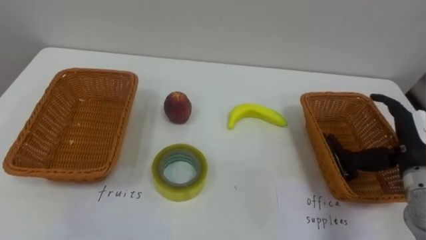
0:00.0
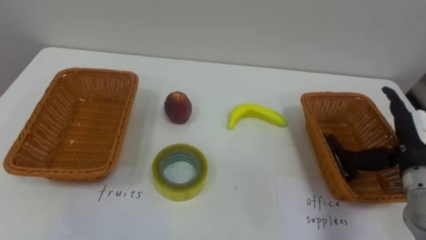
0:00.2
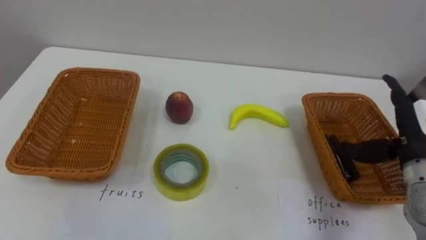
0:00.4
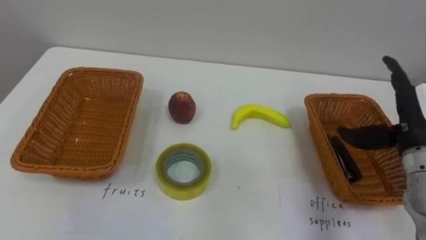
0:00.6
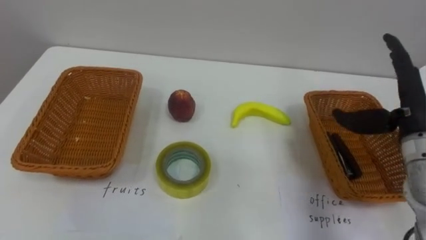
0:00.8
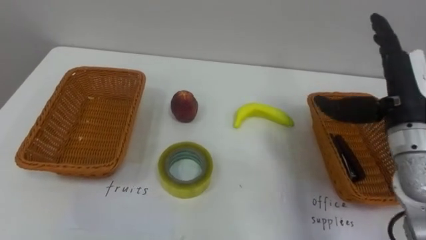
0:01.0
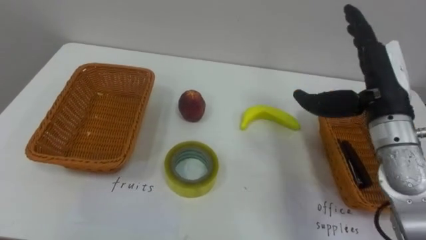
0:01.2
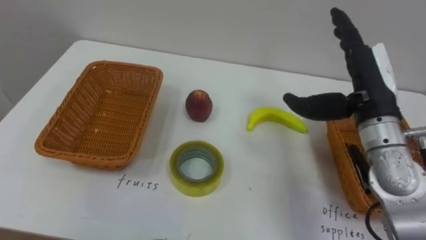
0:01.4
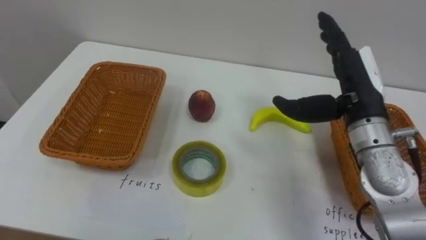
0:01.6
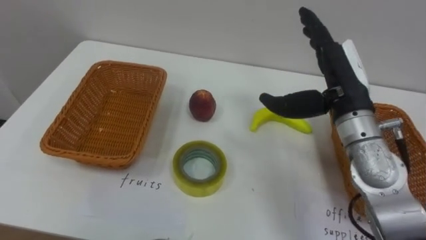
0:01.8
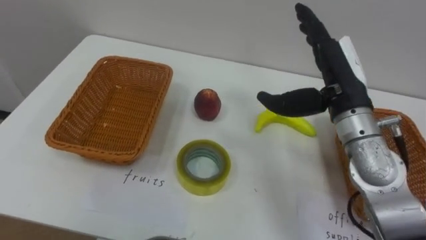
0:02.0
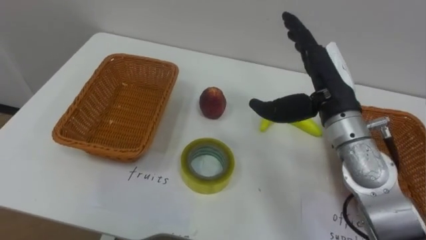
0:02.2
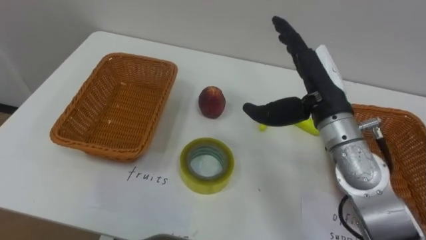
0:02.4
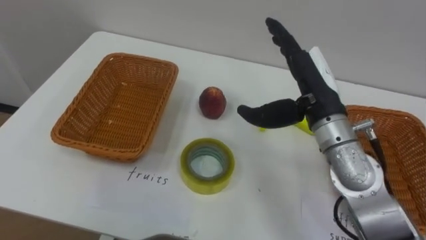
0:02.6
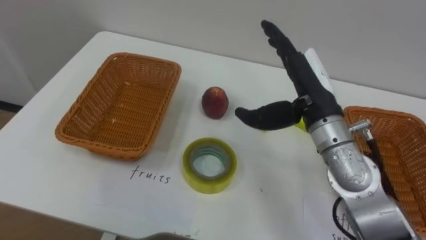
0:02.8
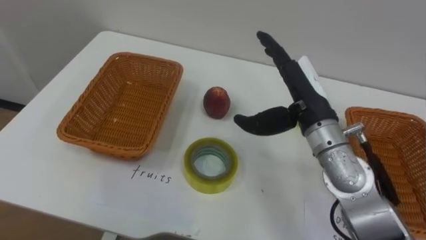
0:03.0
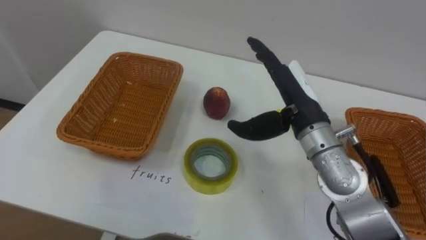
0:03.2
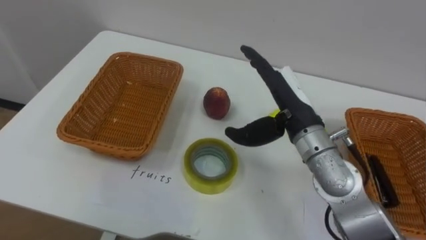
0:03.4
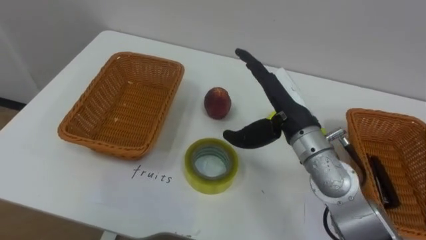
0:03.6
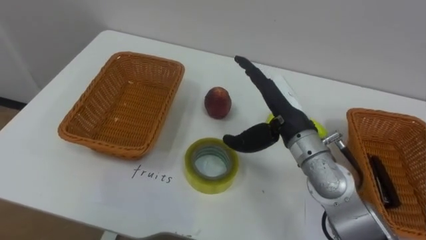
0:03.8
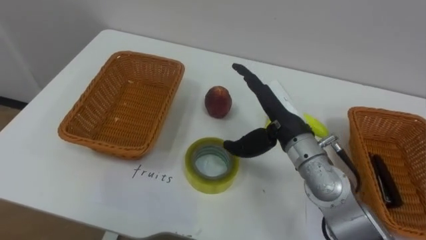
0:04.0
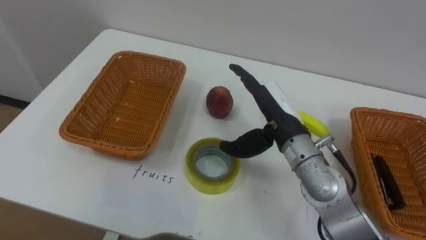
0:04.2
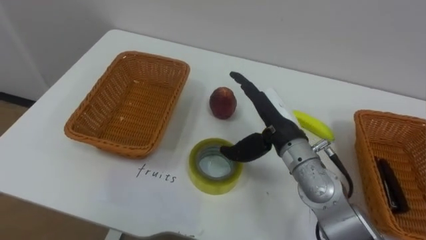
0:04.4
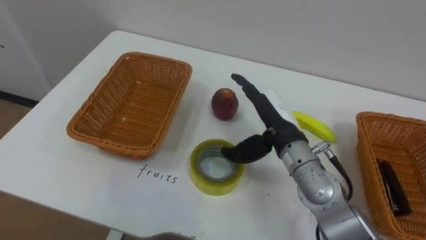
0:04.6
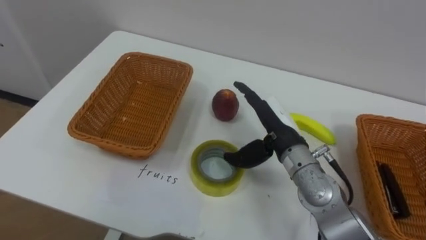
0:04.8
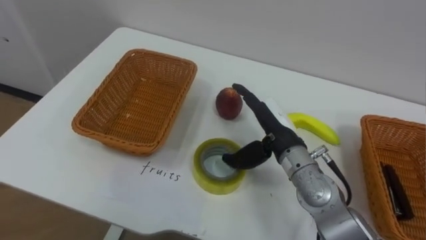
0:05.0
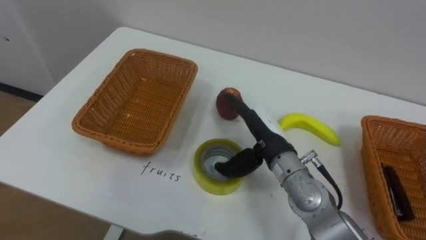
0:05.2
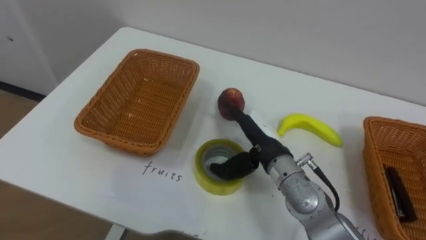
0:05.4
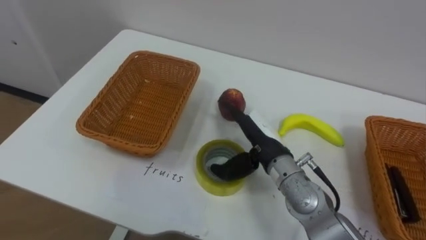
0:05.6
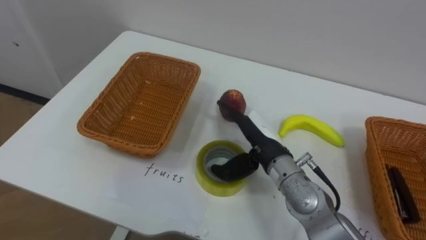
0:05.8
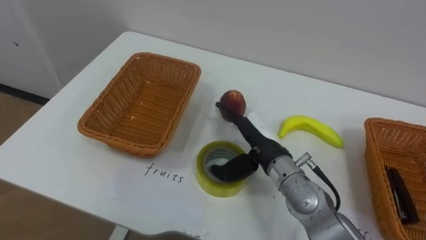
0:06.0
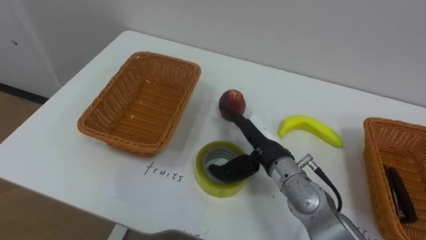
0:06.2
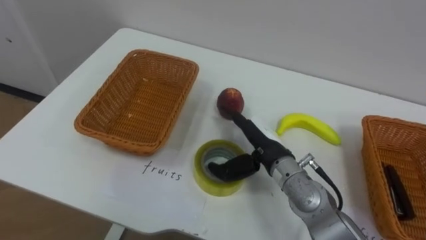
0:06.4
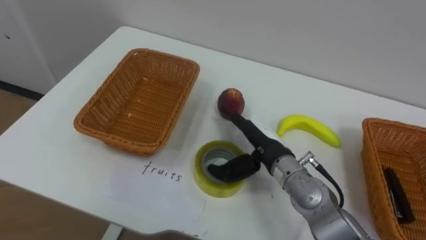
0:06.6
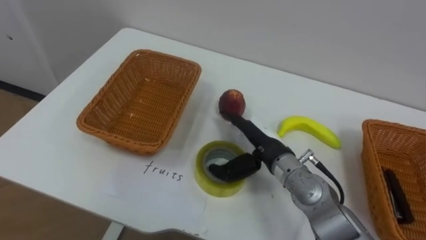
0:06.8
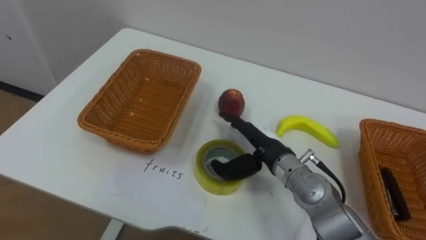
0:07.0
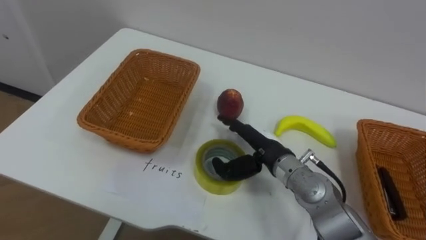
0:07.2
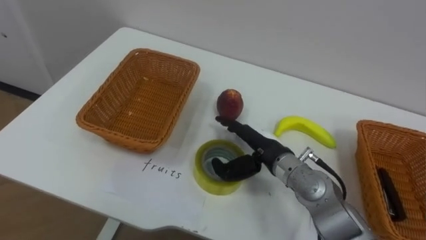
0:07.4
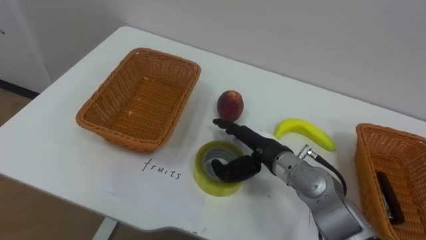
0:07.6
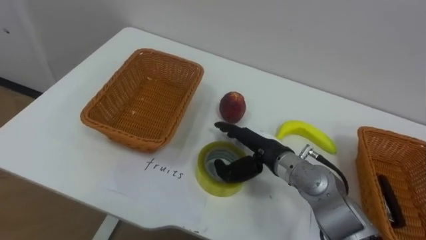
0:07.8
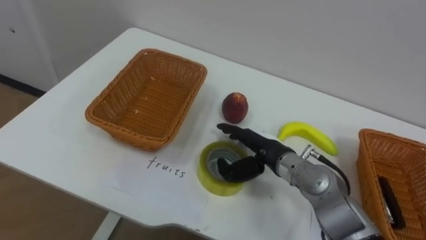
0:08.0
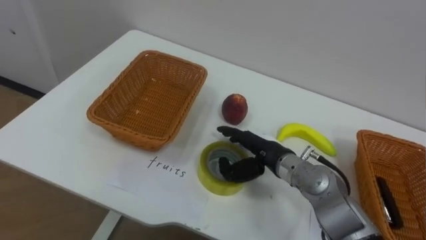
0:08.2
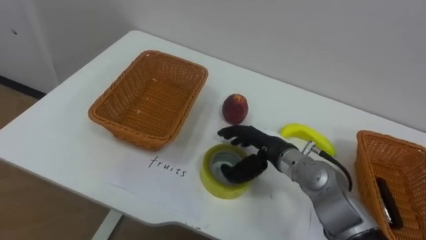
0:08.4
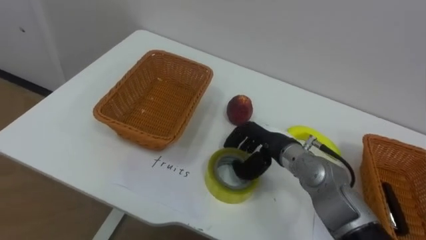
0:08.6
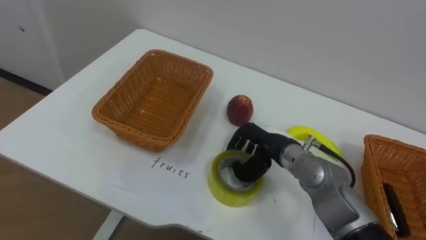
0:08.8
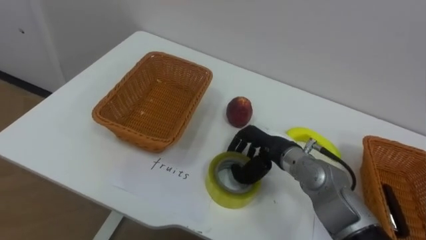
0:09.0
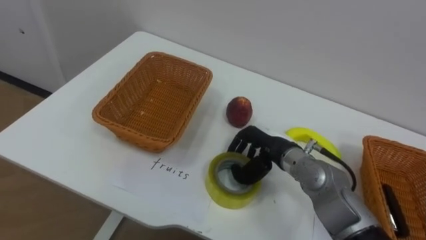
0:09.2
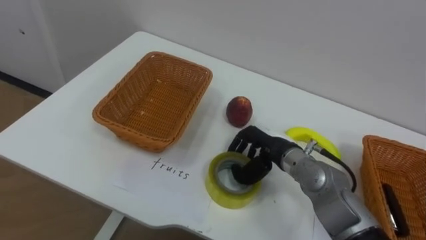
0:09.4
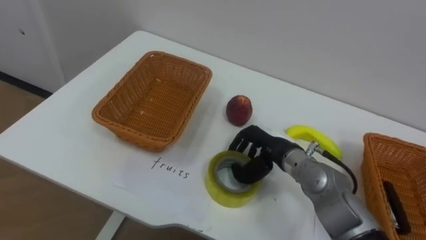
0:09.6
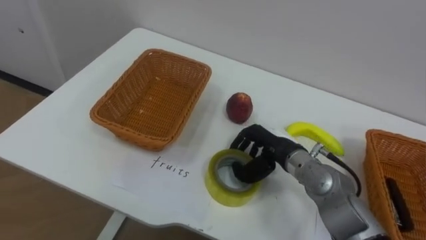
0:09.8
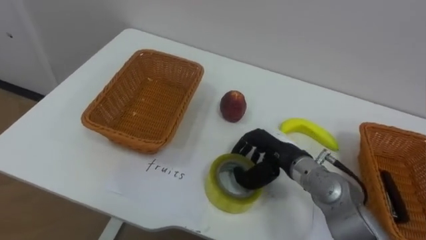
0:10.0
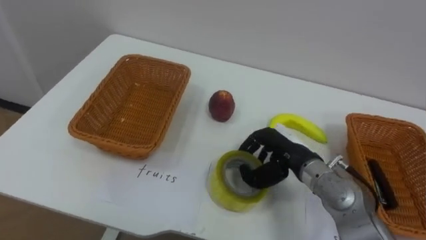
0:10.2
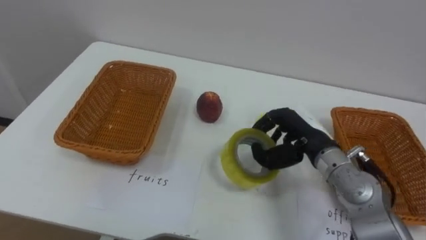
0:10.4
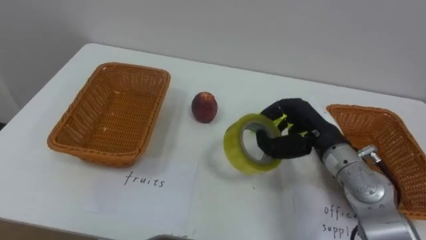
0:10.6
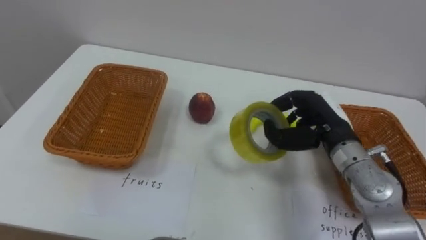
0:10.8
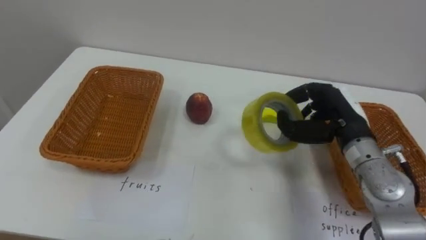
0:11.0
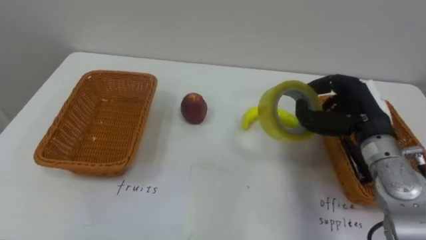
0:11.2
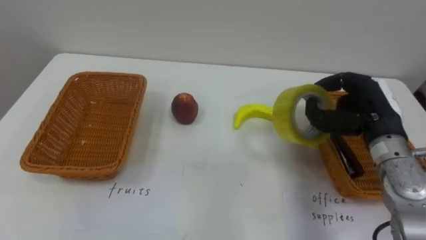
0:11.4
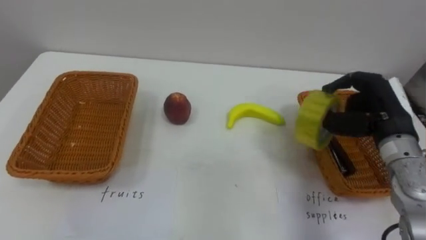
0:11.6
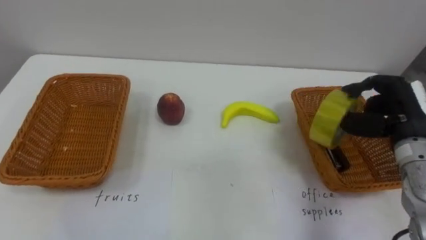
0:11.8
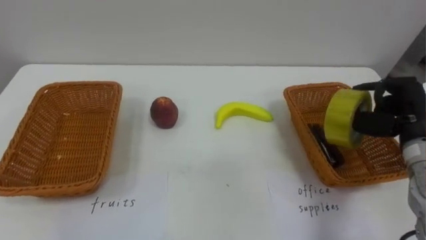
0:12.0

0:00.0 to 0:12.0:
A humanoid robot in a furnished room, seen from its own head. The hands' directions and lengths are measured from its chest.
Task of the whole recording: Separate the items on the table and place them into the two baskets.
0:00.0 to 0:01.6: The right hand is displaced to the left and upward by some 15 cm.
0:01.6 to 0:03.0: The right hand is displaced to the left by about 5 cm.
0:03.0 to 0:04.4: The right hand travels downward by some 5 cm.
0:04.4 to 0:06.0: The right hand shifts by some 5 cm.
0:07.6 to 0:09.0: The right hand closes its fingers.
0:09.0 to 0:10.4: The right hand moves to the right, approximately 5 cm.
0:10.4 to 0:12.0: The right hand goes some 15 cm to the right.

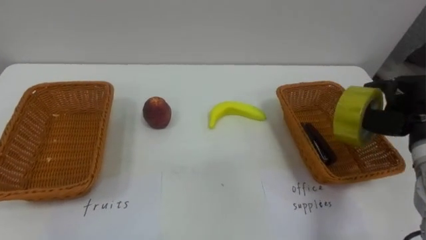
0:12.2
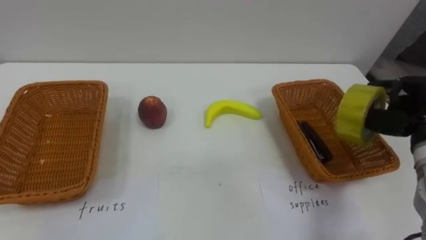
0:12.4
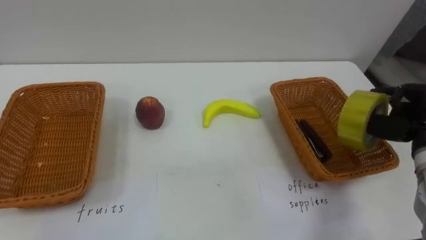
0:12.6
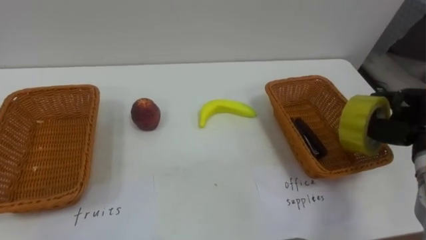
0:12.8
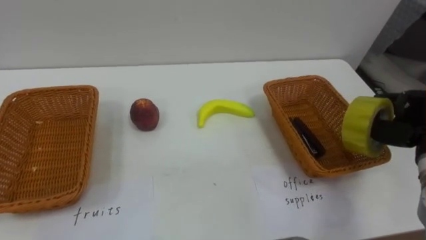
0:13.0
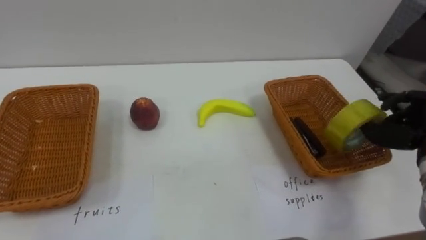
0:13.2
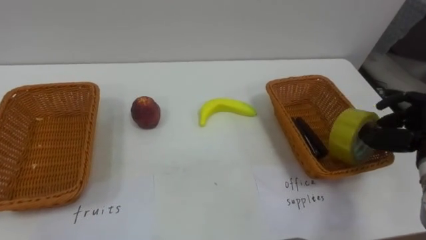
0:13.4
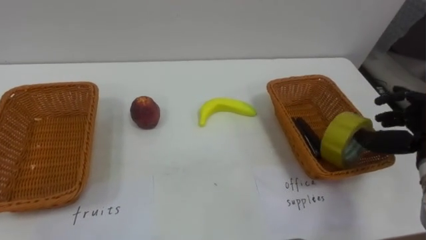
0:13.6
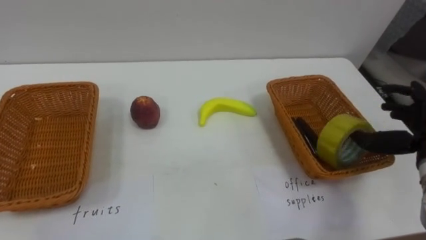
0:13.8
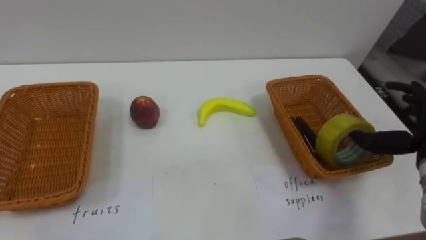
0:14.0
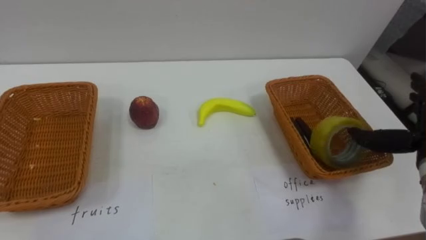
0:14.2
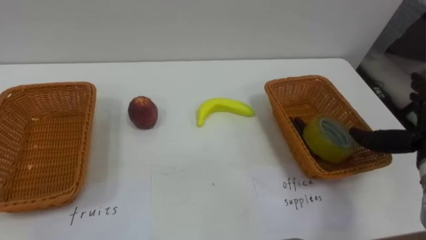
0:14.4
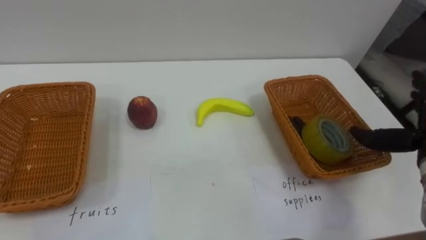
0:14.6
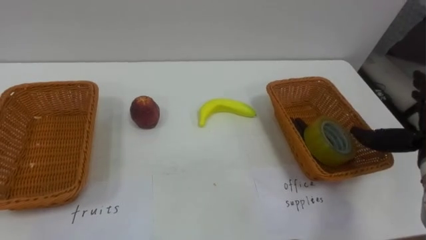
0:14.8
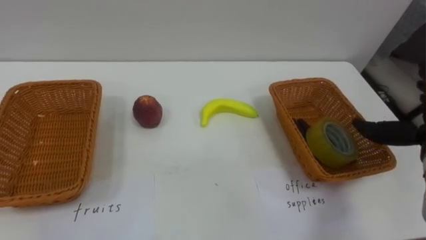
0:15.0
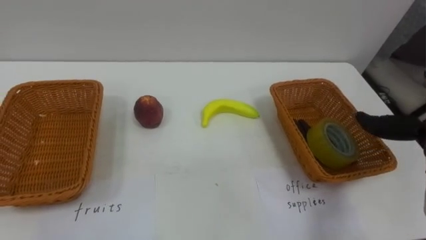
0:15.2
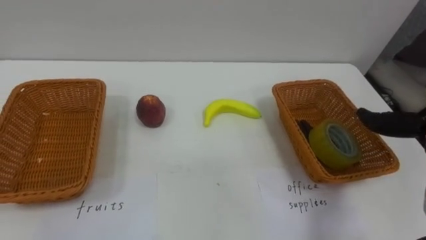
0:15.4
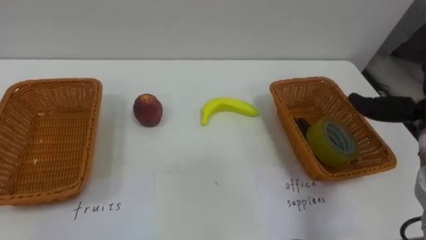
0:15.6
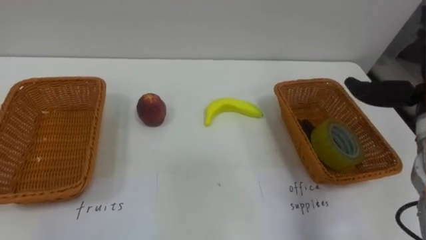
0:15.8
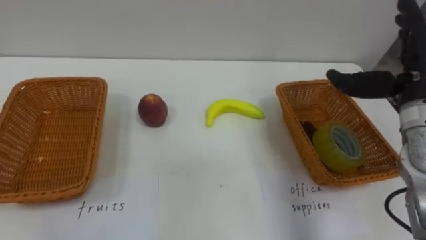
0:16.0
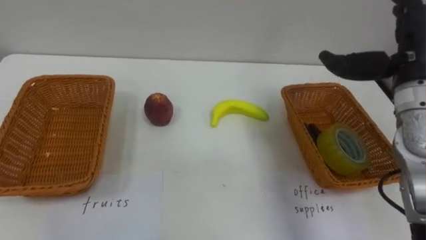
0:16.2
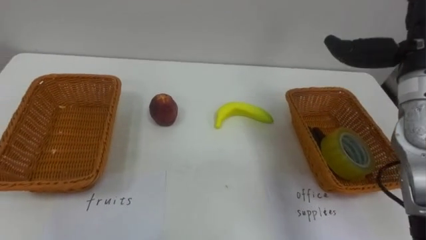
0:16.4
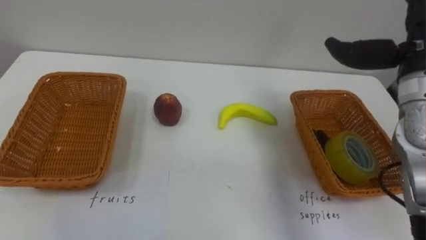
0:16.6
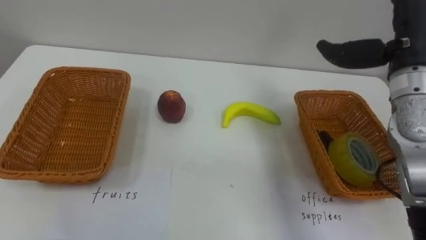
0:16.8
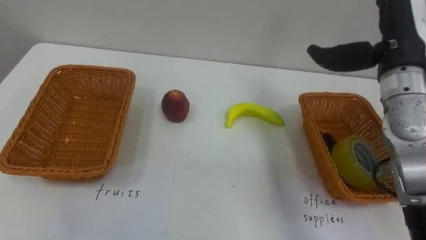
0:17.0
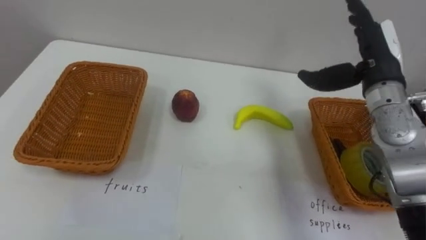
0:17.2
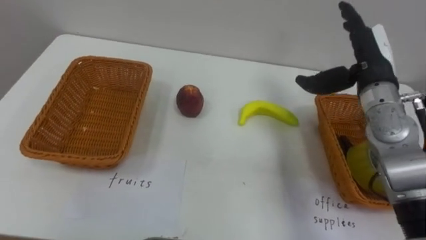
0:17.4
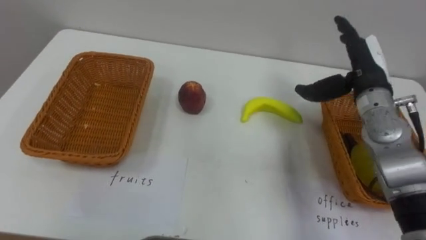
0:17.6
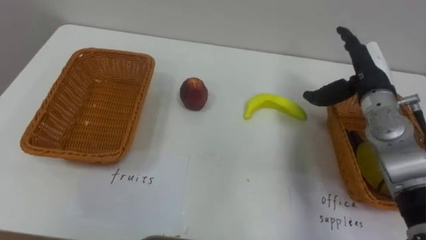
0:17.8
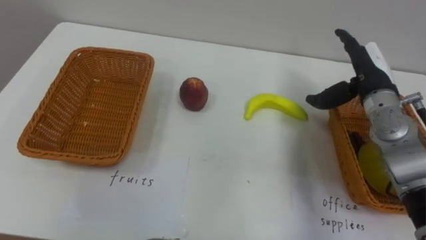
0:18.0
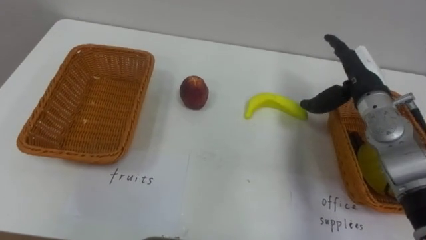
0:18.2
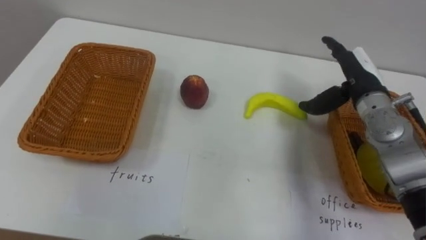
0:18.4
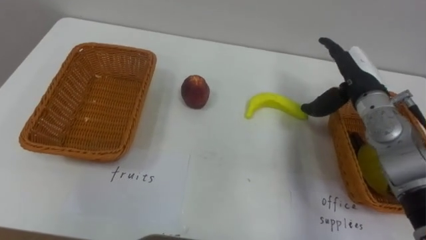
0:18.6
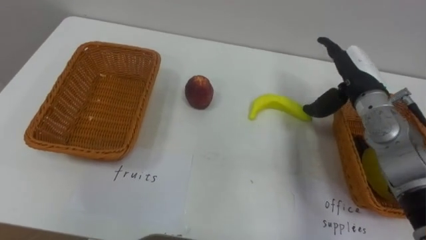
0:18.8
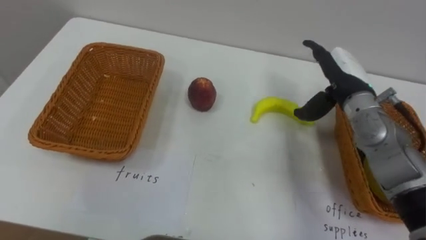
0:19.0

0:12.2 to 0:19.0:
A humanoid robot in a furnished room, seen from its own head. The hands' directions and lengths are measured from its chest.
Task of the whole recording: Separate the items on the table and place them into the two baskets.
0:16.2 to 0:17.6: The right hand is displaced downward by some 5 cm.
